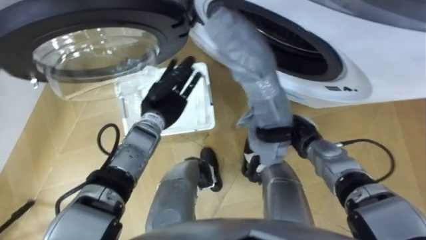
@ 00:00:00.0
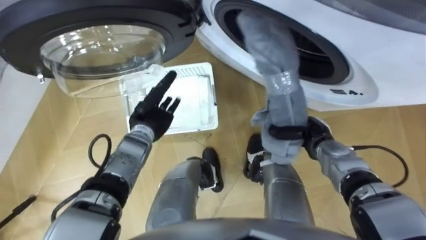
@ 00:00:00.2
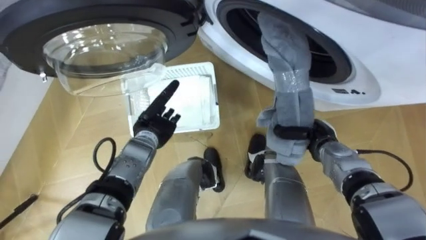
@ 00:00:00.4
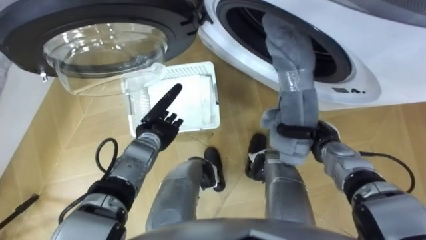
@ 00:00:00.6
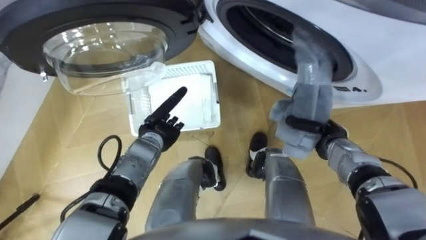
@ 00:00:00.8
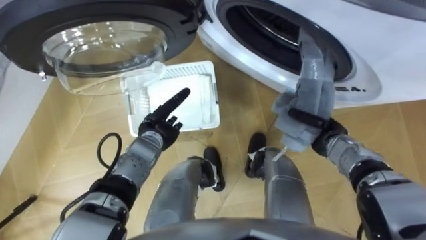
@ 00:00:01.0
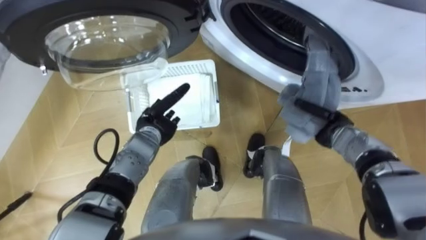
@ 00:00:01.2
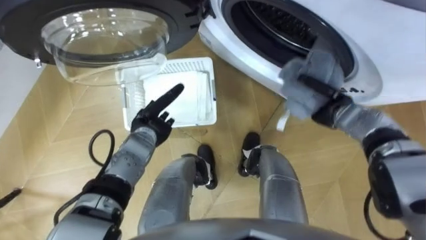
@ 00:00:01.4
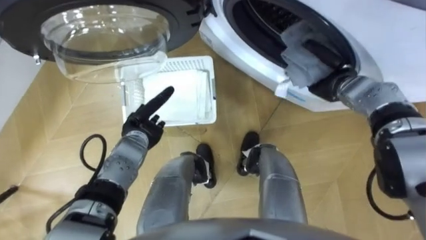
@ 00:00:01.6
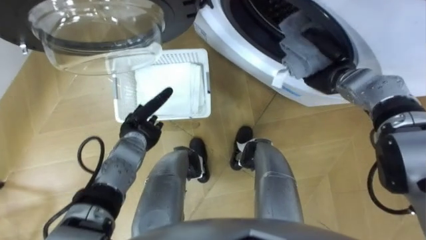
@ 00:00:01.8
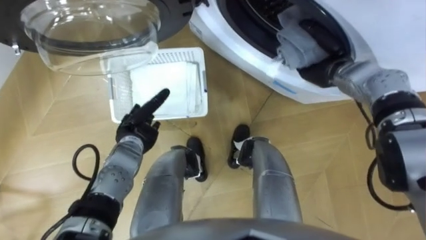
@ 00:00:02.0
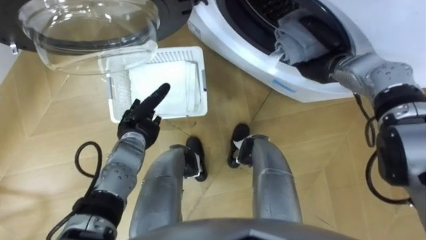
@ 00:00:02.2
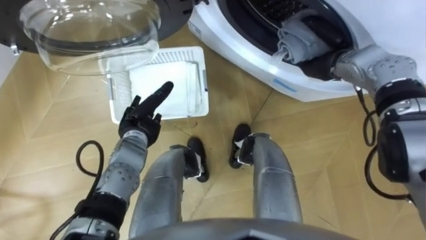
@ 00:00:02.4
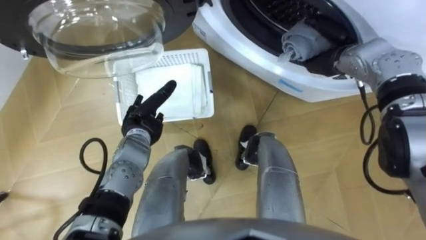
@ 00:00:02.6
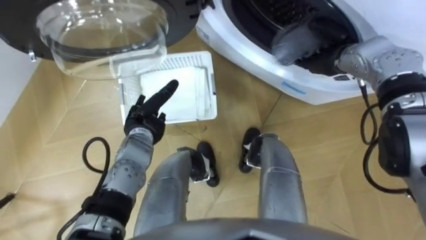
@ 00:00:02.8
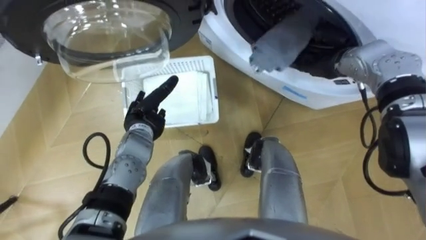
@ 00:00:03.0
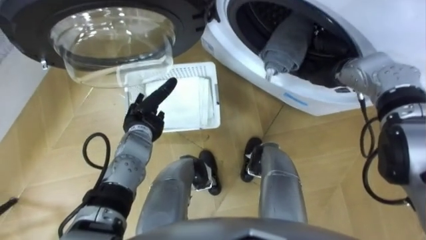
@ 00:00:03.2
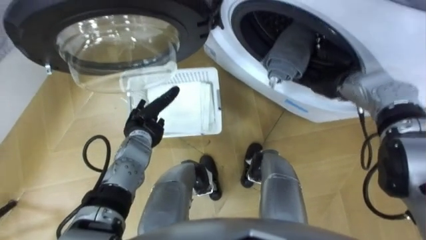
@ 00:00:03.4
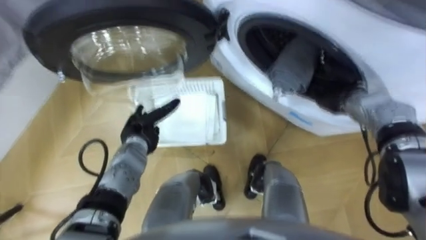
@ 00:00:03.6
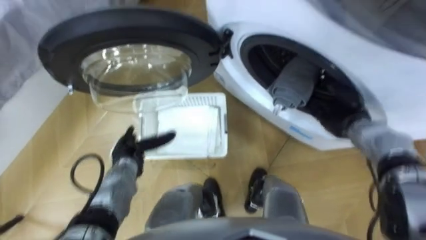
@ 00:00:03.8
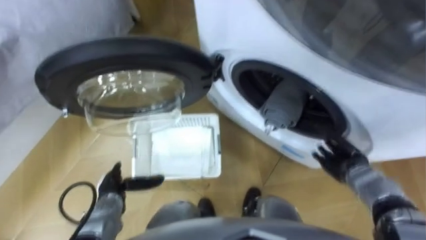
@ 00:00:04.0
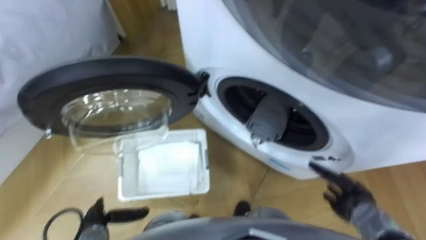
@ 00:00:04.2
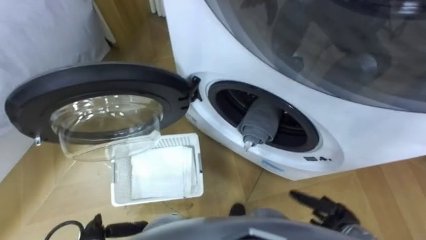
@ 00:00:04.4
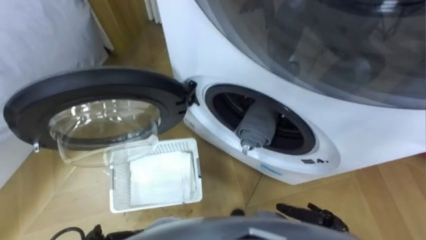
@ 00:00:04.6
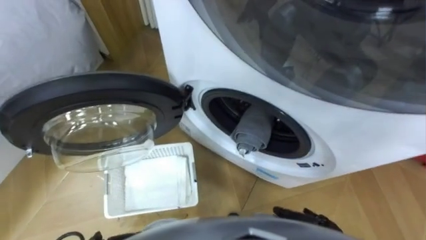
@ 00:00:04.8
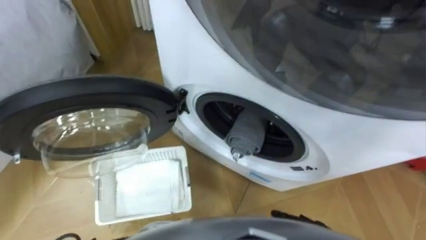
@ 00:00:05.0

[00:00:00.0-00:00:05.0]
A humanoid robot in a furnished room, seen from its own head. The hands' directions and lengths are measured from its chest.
Task of the whole recording: Take the towel from the basket and put it into the washing machine.
00:00:00.0 to 00:00:01.6: The left hand ends up approximately 10 cm from where it was. The right hand heads forward, upward and to the right, covering some 15 cm.
00:00:01.6 to 00:00:03.4: The right hand opens up.
00:00:03.4 to 00:00:05.0: The right hand is displaced backward and downward by about 35 cm.

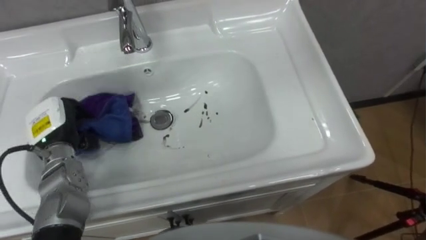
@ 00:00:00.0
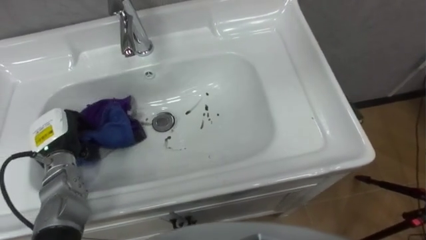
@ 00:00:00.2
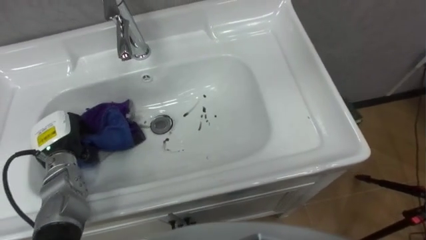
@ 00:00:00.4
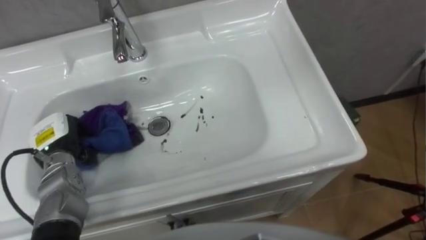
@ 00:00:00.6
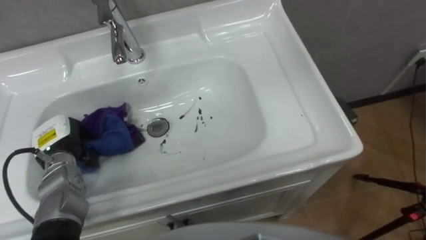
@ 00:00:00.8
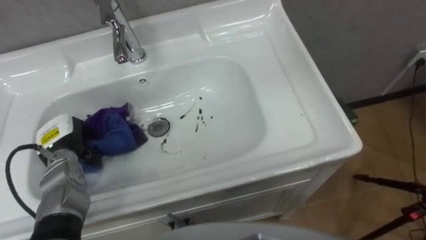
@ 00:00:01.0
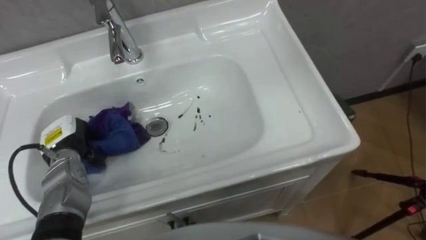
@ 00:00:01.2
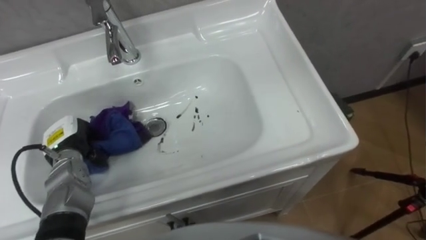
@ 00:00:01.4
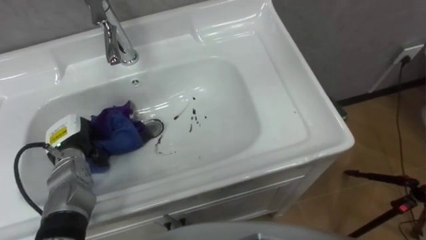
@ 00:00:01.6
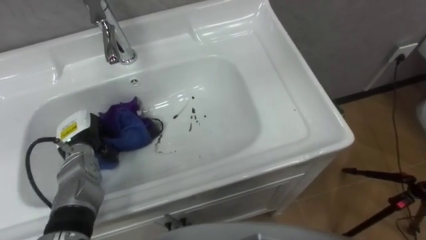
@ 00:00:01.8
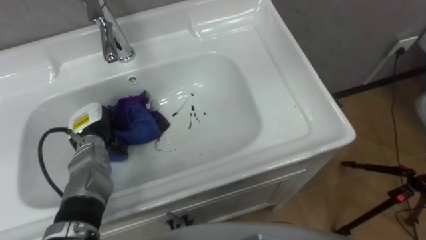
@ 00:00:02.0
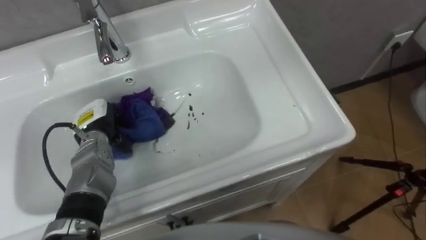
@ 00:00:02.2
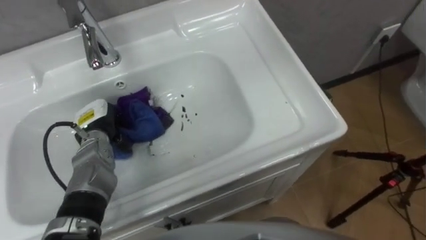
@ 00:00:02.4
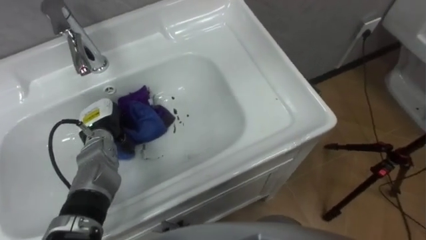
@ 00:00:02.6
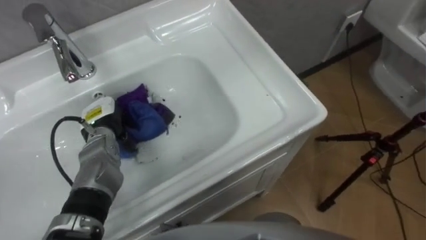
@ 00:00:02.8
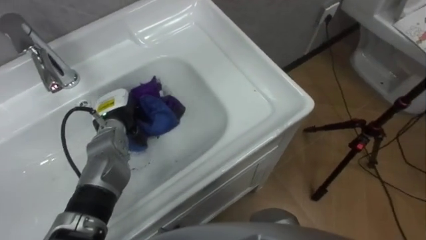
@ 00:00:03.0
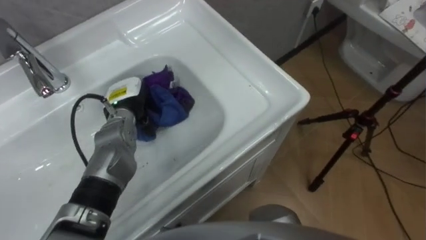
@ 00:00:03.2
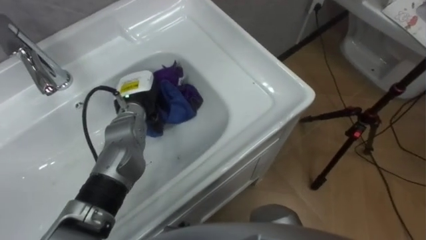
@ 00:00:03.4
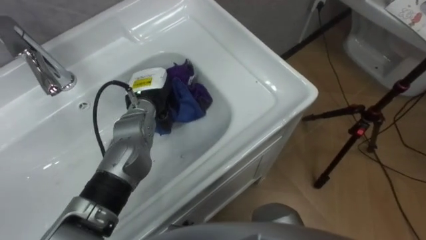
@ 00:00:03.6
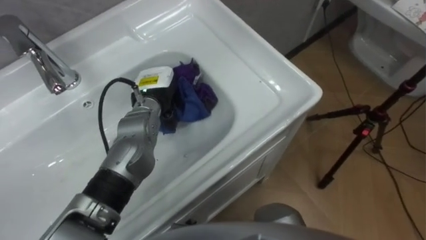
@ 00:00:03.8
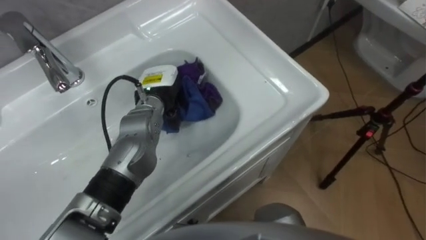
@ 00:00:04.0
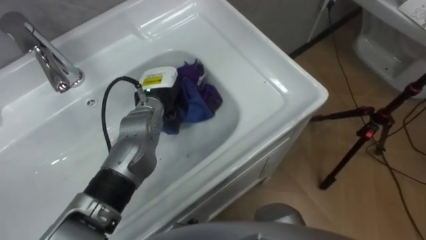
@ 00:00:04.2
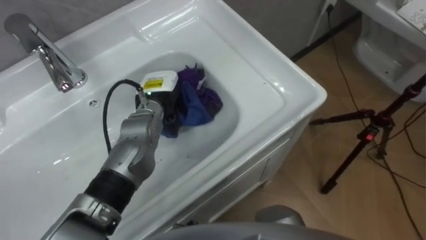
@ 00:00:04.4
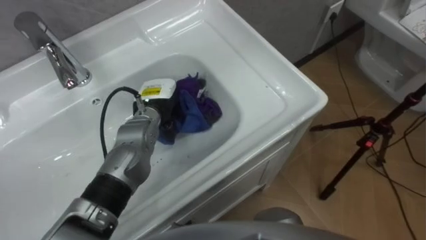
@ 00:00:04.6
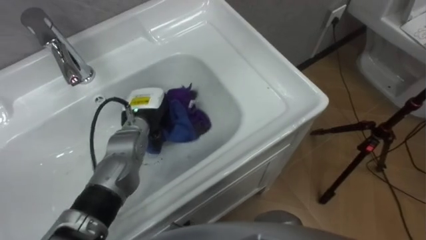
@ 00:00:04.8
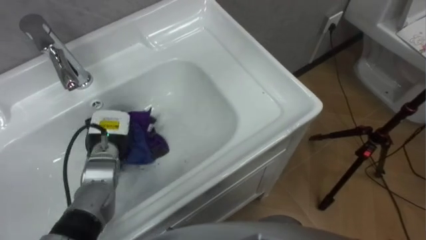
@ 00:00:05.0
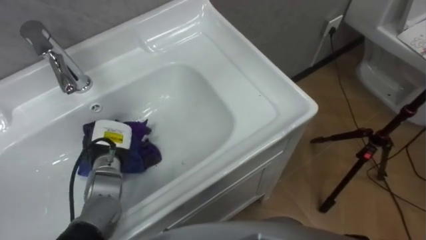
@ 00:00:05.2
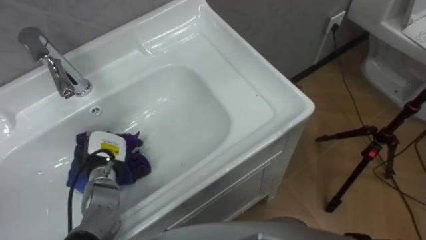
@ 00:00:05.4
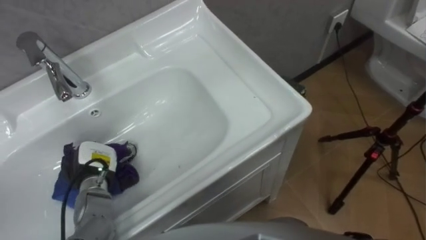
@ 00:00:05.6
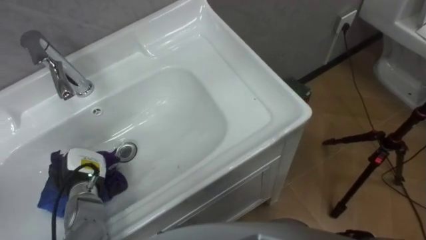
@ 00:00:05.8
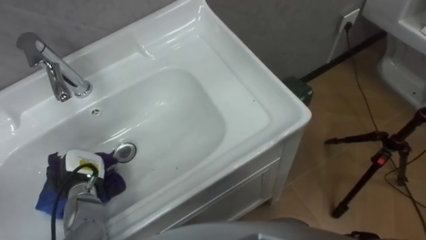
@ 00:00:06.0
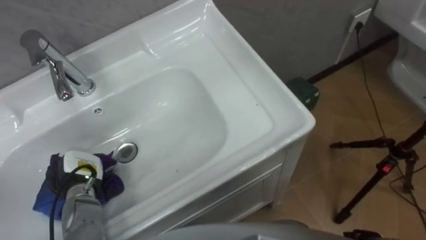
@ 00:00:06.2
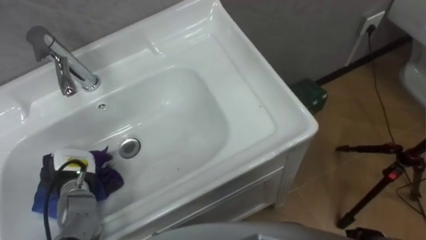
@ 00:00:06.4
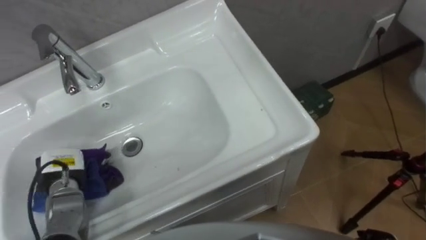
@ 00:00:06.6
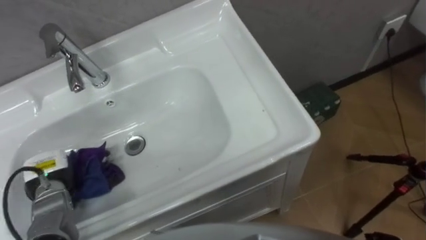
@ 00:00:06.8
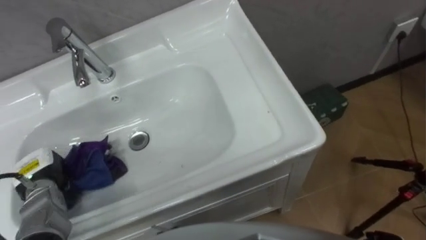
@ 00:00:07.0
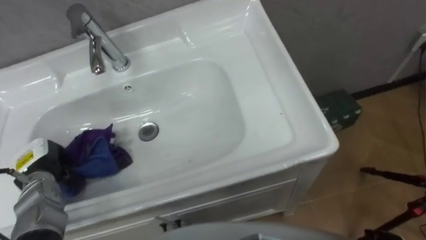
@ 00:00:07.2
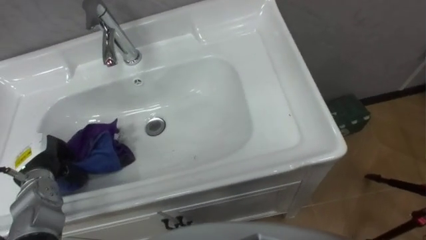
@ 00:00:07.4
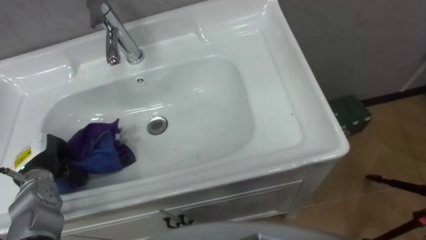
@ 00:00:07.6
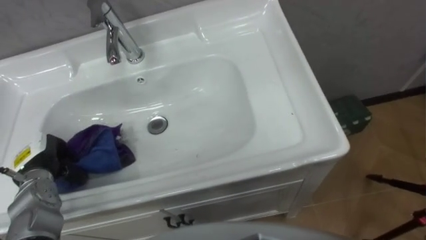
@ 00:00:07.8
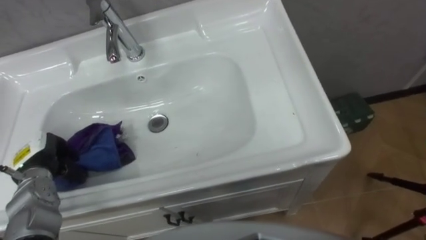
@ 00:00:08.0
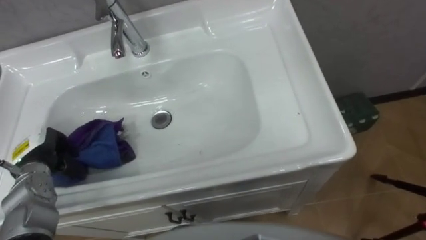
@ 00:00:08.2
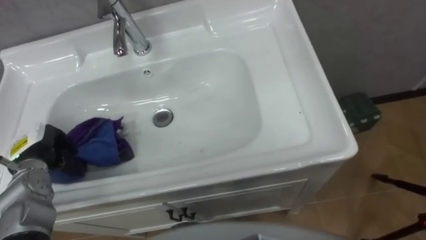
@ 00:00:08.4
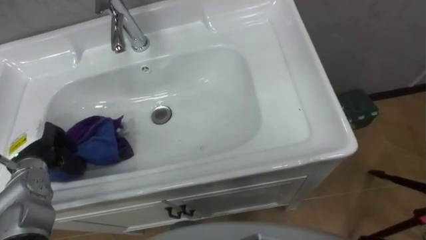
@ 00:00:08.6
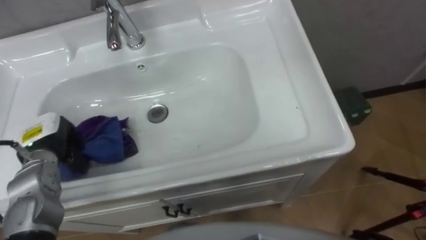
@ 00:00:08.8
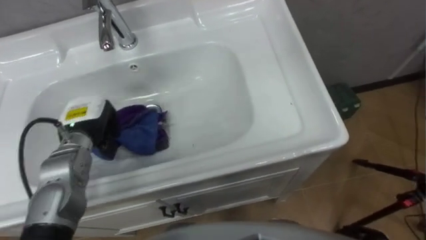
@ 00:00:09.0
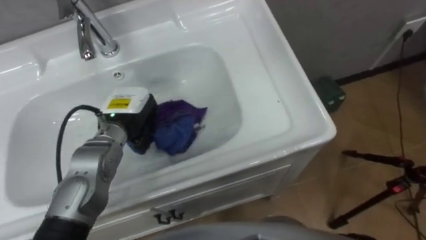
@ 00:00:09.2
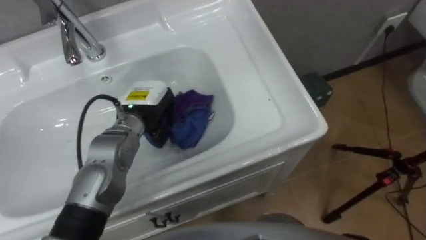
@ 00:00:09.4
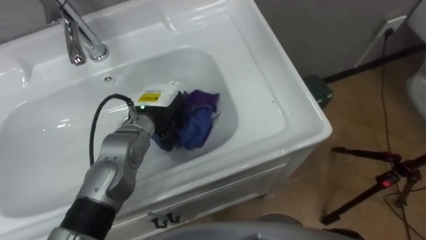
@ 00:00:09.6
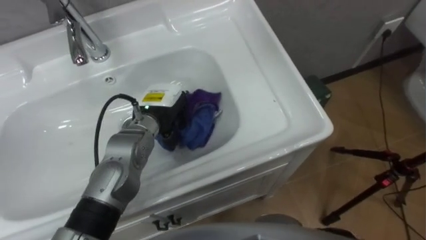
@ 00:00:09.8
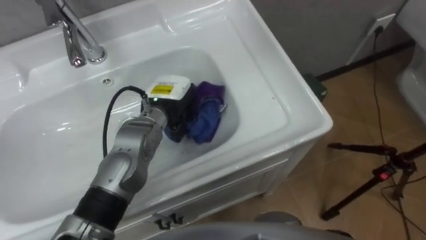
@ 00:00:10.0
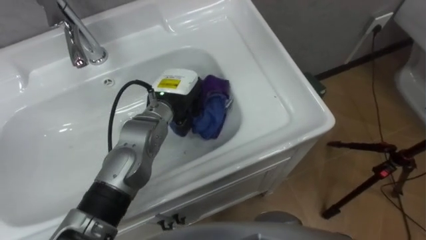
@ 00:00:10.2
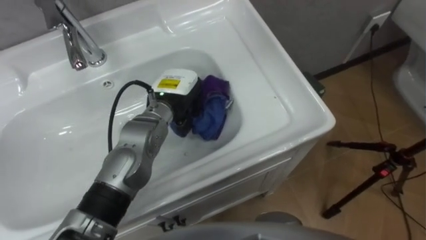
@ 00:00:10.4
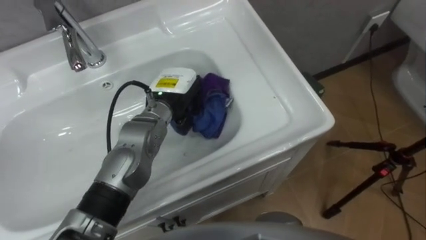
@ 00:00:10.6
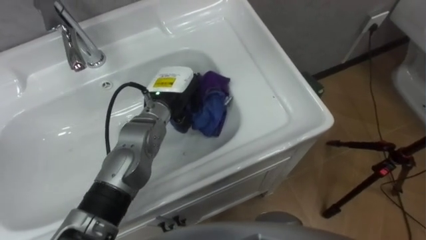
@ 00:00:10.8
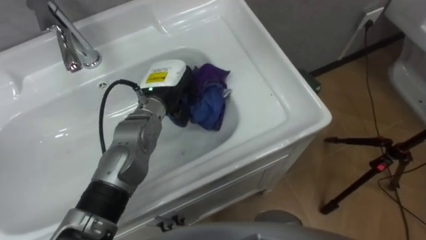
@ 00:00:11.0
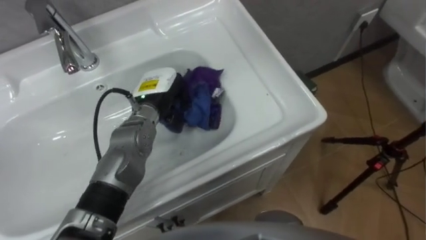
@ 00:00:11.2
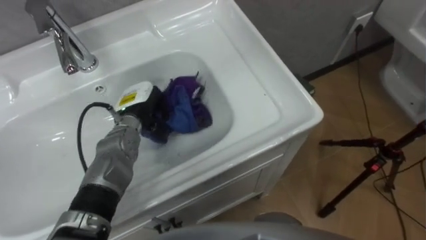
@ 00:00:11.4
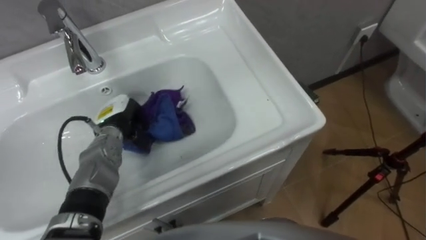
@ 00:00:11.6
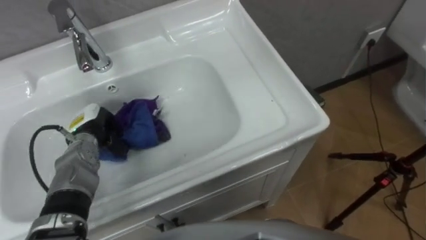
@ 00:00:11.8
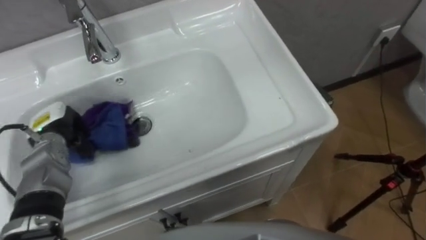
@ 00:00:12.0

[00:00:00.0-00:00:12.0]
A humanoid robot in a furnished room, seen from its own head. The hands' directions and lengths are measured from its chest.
Task of the whole recording: Use the cloth on the right to wipe away the black stain in the sink.
00:00:00.0 to 00:00:01.6: The left hand moves downward, roughly 5 cm.
00:00:01.6 to 00:00:03.0: The left hand heads to the right and forward, covering some 10 cm.
00:00:03.0 to 00:00:04.4: The left hand moves to the right, approximately 10 cm.
00:00:04.4 to 00:00:06.0: The left hand heads to the left, backward and downward, covering some 25 cm.
00:00:06.0 to 00:00:07.6: The left hand shifts approximately 10 cm to the left and upward.
00:00:07.6 to 00:00:09.0: The left hand shifts roughly 10 cm to the right and forward.
00:00:09.0 to 00:00:10.4: The left hand shifts approximately 20 cm to the right.
00:00:10.4 to 00:00:12.0: The left hand shifts roughly 25 cm to the left.
